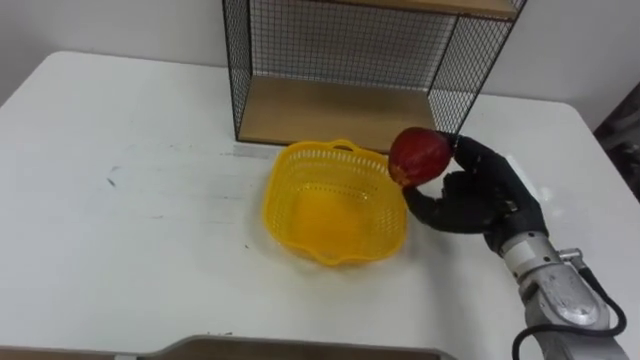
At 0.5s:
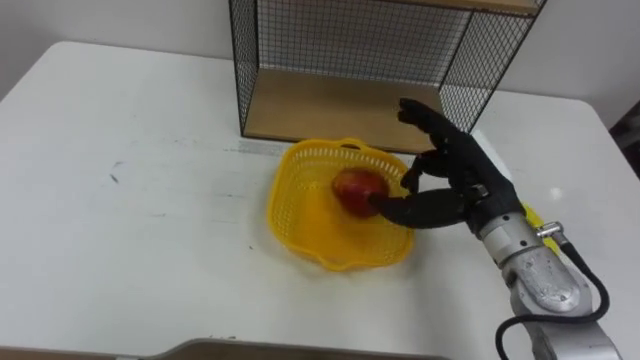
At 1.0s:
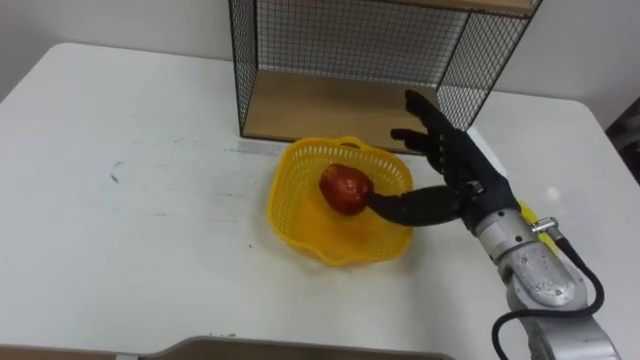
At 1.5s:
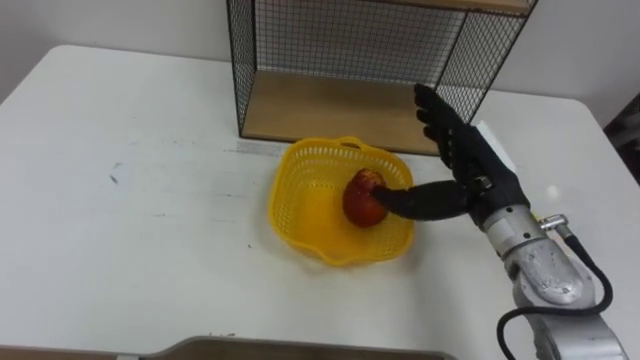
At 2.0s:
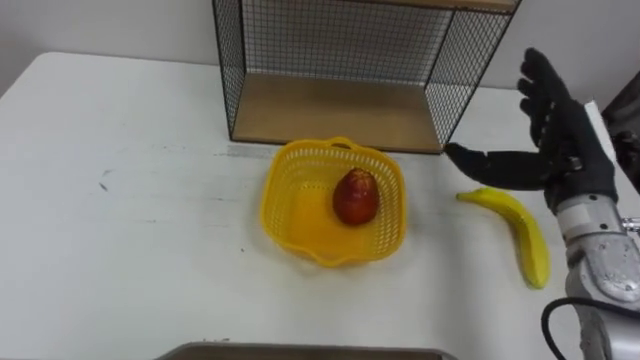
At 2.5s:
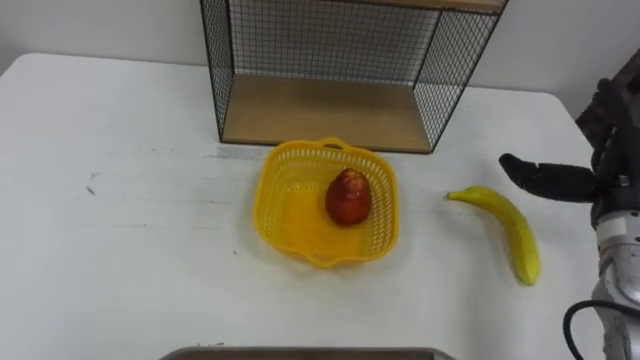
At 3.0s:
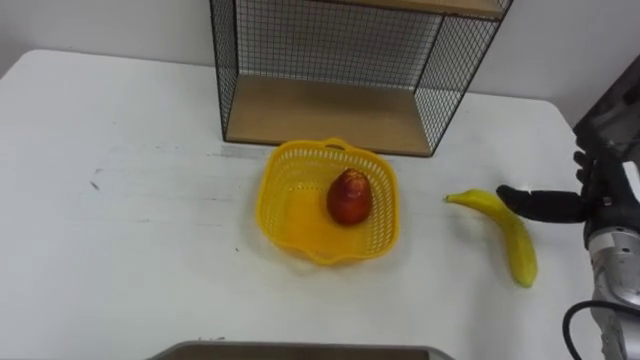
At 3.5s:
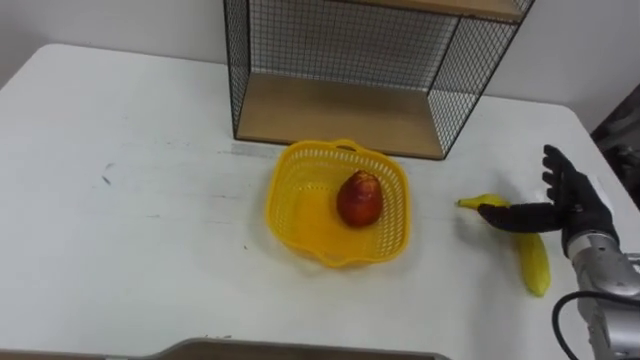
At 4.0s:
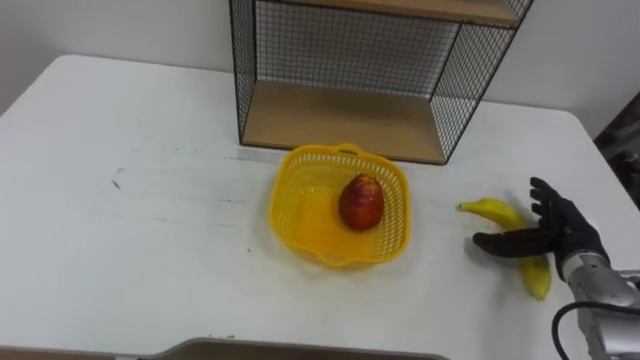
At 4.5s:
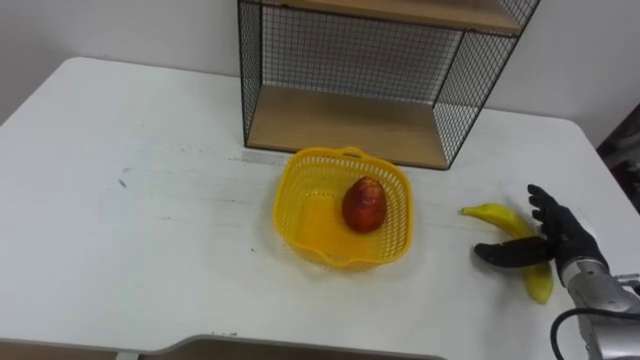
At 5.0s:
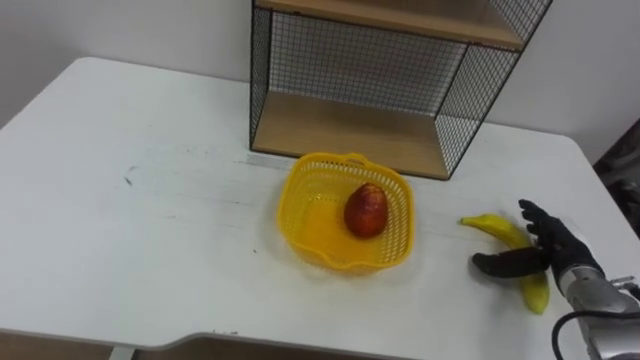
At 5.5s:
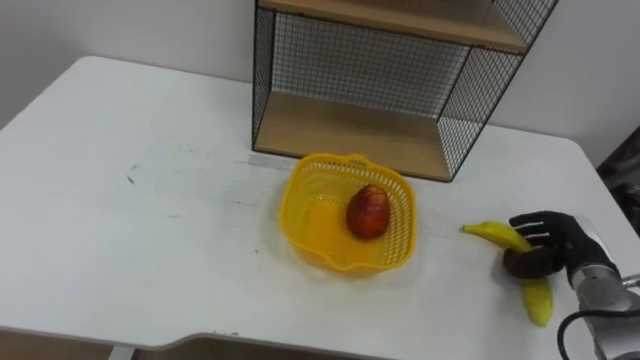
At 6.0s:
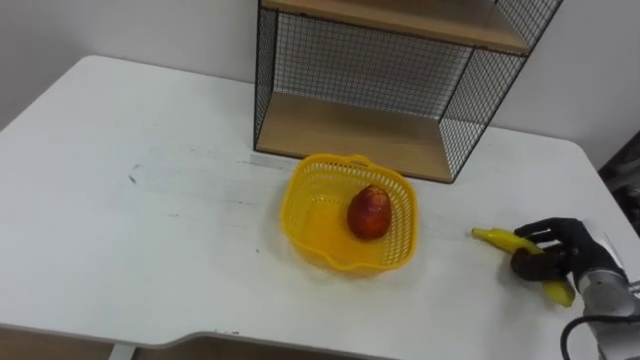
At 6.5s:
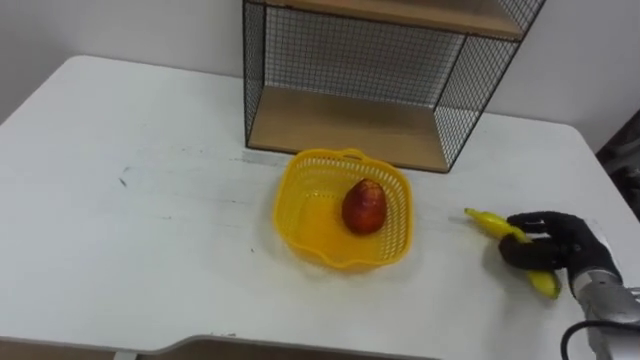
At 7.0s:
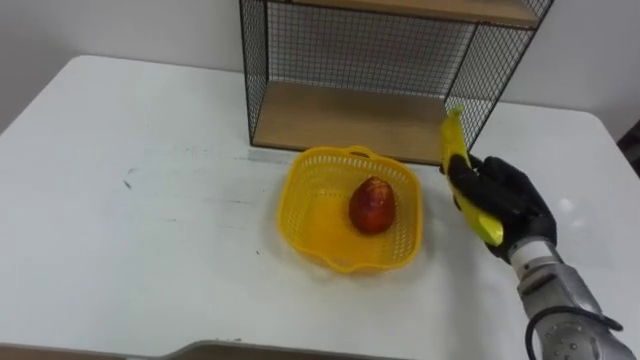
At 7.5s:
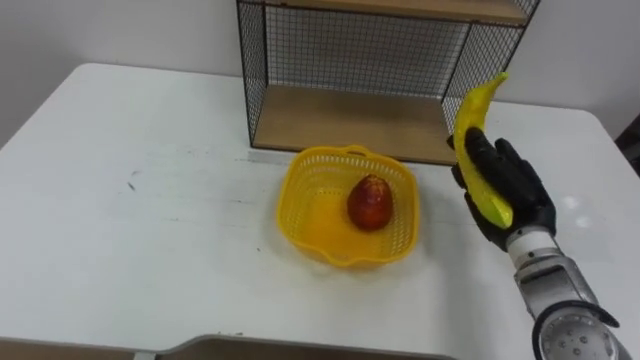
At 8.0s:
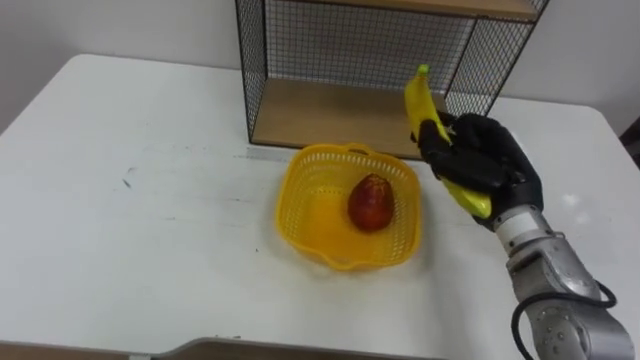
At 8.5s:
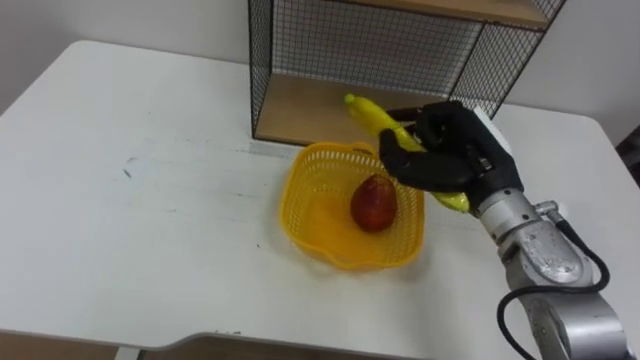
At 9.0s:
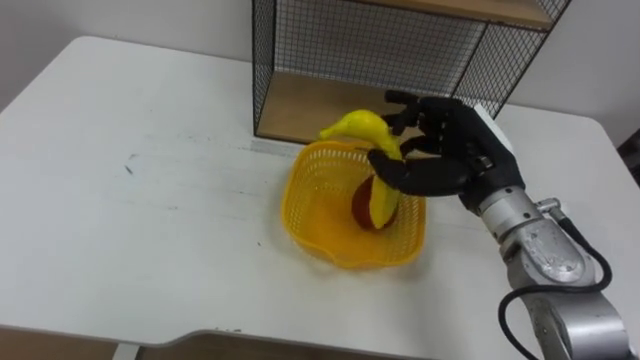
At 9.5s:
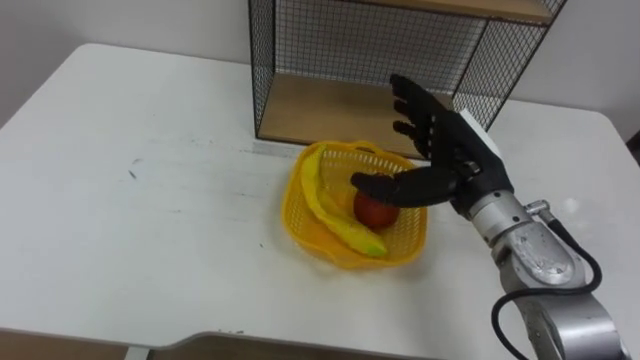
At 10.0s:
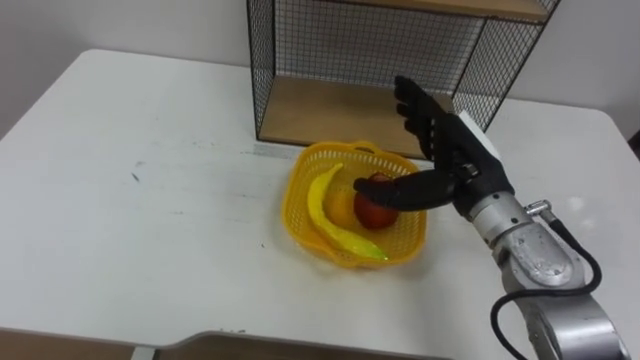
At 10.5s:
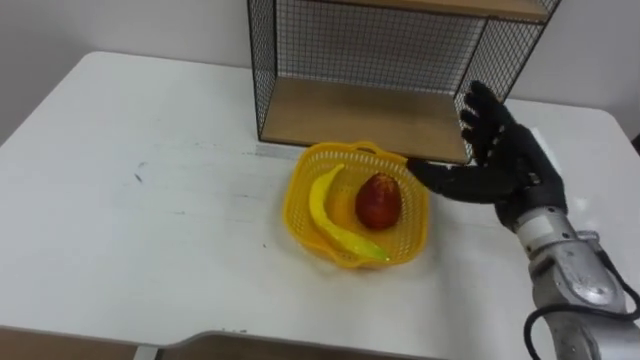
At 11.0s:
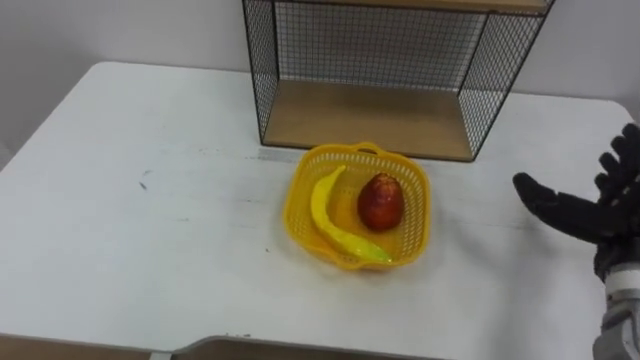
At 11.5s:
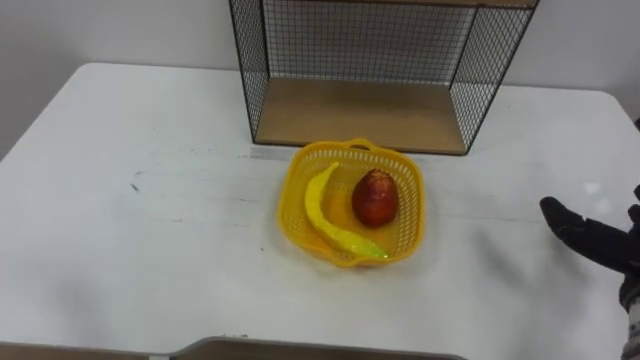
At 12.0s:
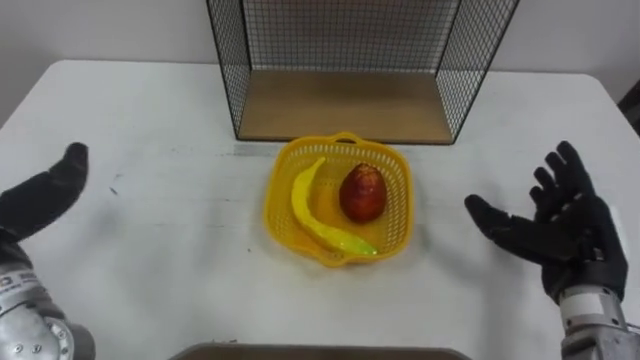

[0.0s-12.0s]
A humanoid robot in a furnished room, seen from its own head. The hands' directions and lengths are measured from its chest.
Task of the whole recording: Put the fruit on the table into the basket, then place the basket on the shelf.
0.0s to 2.0s: The right hand is displaced upward and to the right by about 10 cm, and opens up.
2.0s to 4.0s: The right hand goes roughly 15 cm downward and to the right.
4.0s to 6.0s: The right hand closes its fingers.
6.0s to 8.0s: The right hand moves to the left and upward, roughly 20 cm.
8.0s to 10.0s: The right hand opens.

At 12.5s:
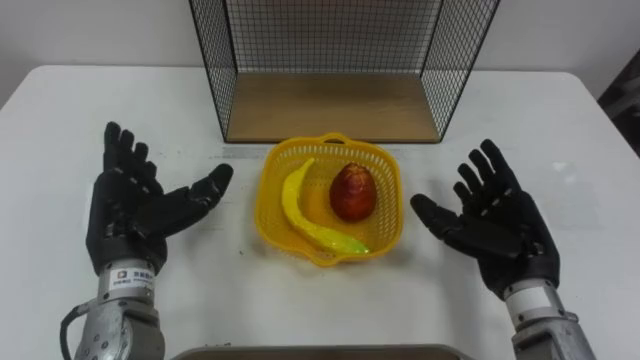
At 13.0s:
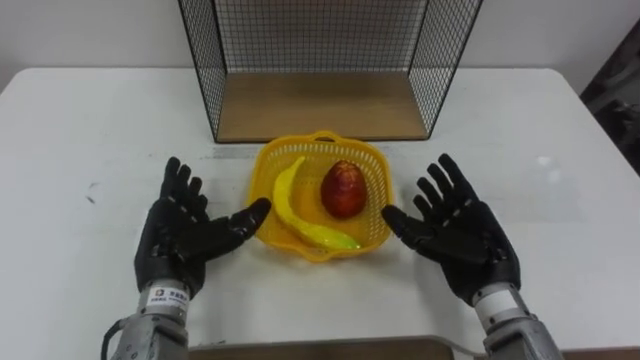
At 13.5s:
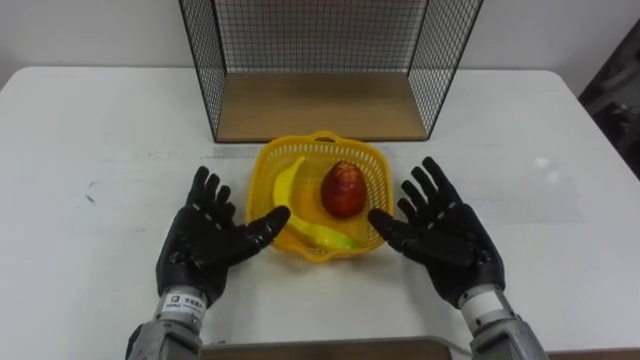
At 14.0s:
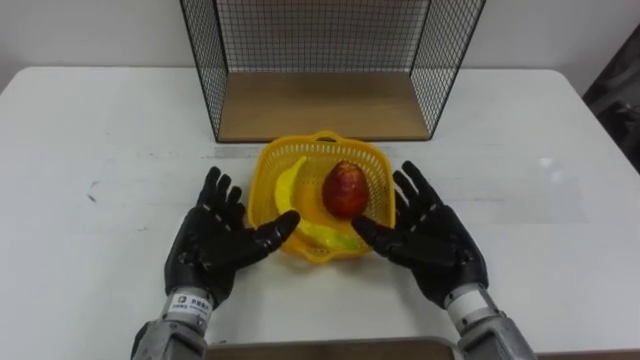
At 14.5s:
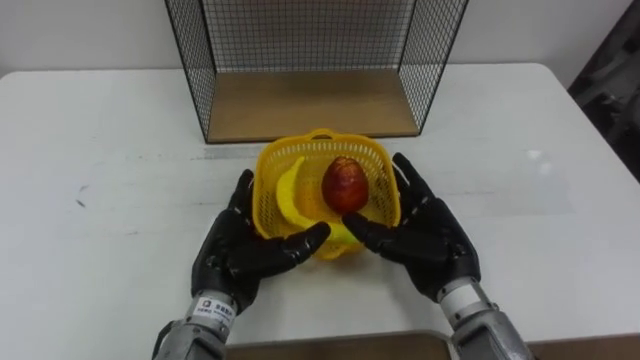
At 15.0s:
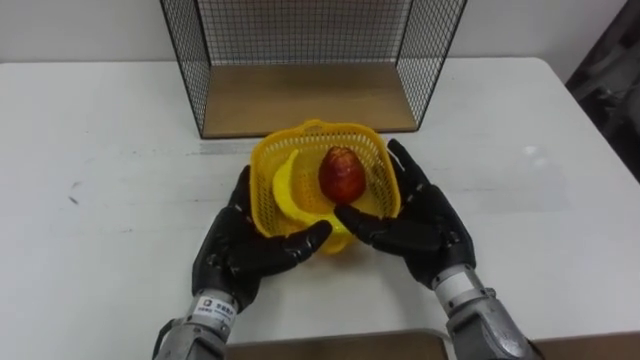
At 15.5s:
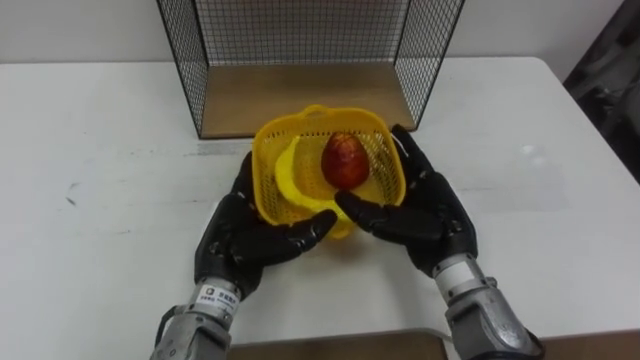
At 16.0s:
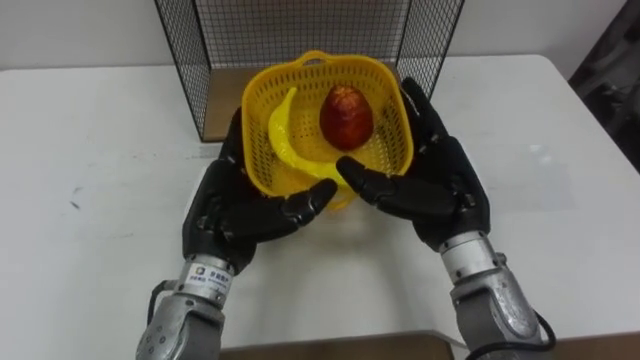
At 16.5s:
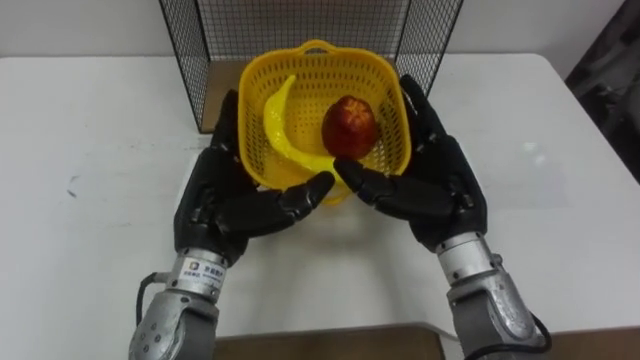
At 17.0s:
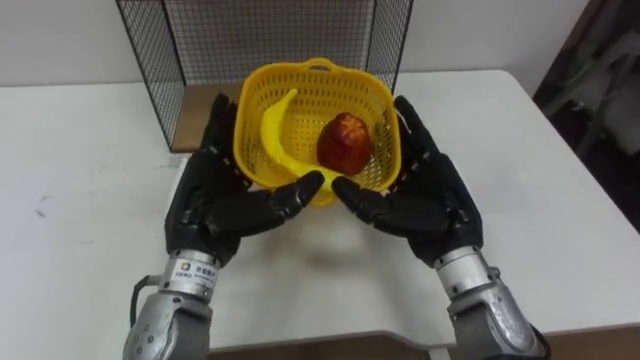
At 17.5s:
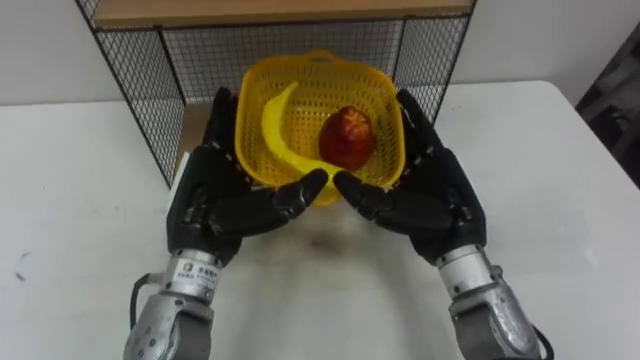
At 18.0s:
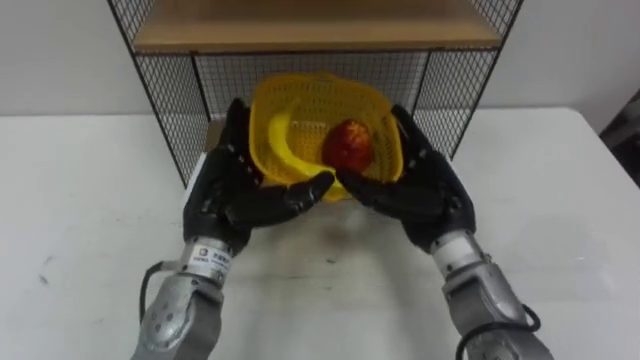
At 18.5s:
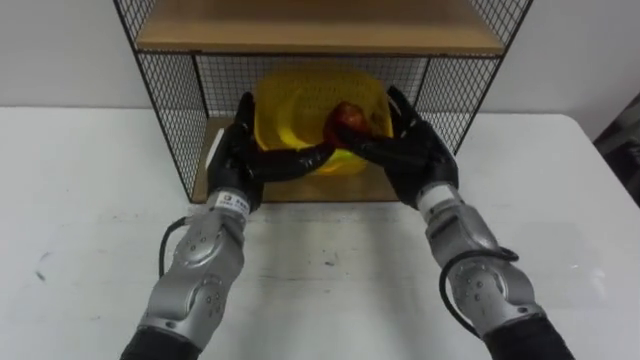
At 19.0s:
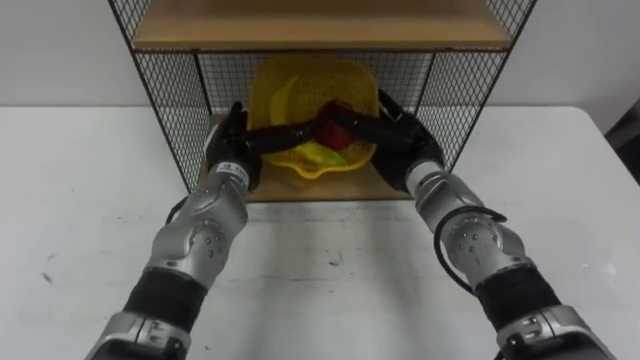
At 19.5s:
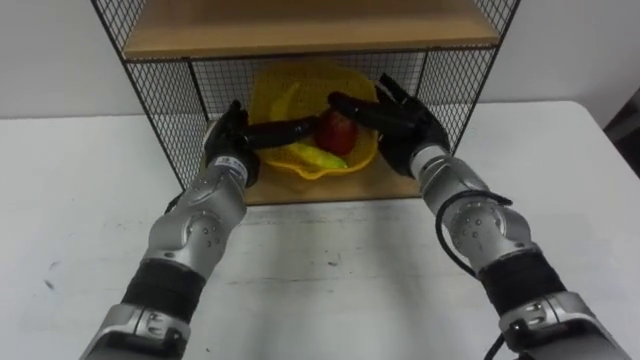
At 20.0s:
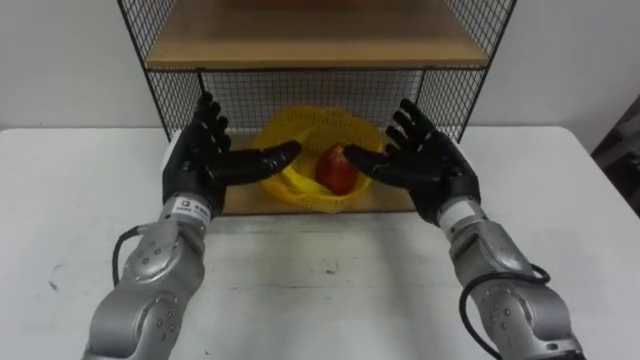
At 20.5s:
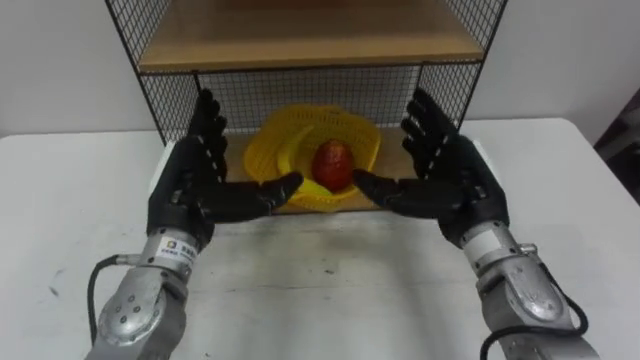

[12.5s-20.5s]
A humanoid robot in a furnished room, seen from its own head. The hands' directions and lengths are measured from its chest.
Task of the whole recording: Put the fruit on the table into the basket, then place the basket on the shelf.
12.5s to 14.5s: The left hand is displaced to the right and downward by roughly 10 cm; the right hand moves to the left, about 10 cm.
14.5s to 16.5s: Both hands move upward, about 10 cm.
16.5s to 18.5s: Both hands move forward, about 10 cm.
18.5s to 20.5s: The right hand is displaced backward by about 5 cm. The left hand shifts some 10 cm backward and to the left.
